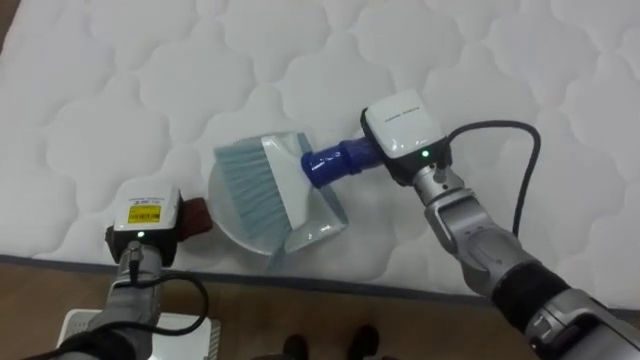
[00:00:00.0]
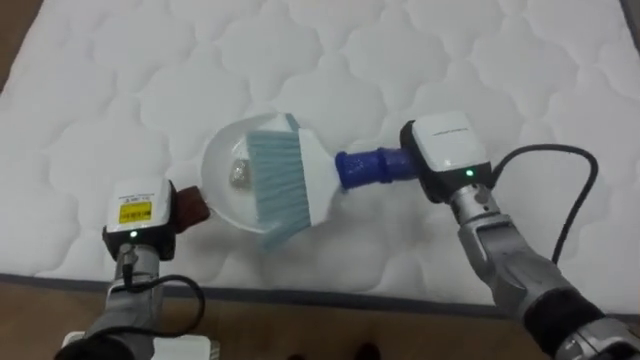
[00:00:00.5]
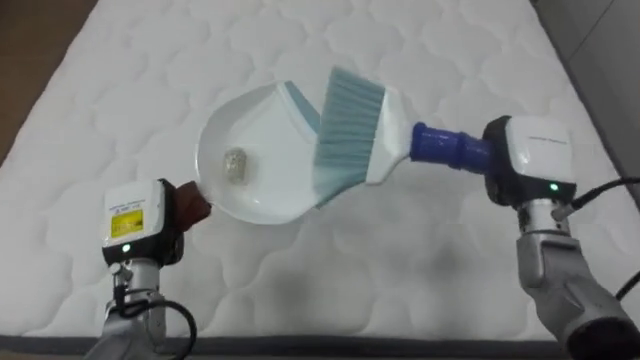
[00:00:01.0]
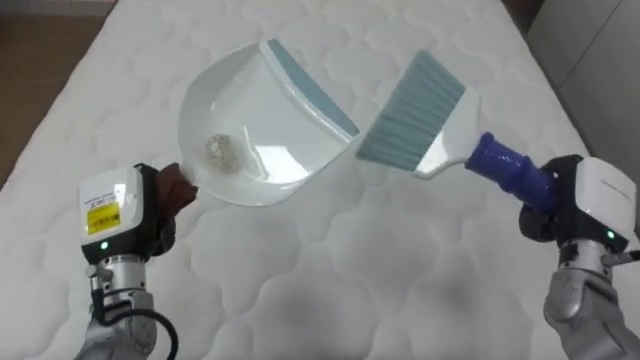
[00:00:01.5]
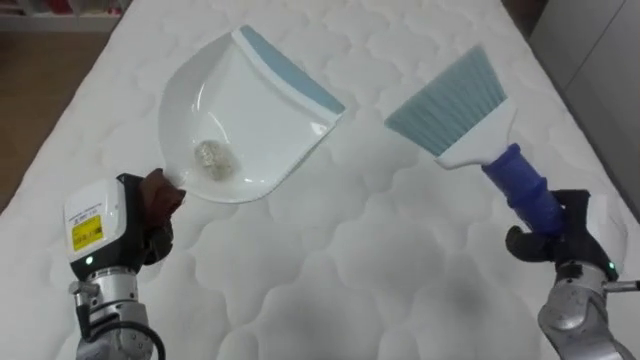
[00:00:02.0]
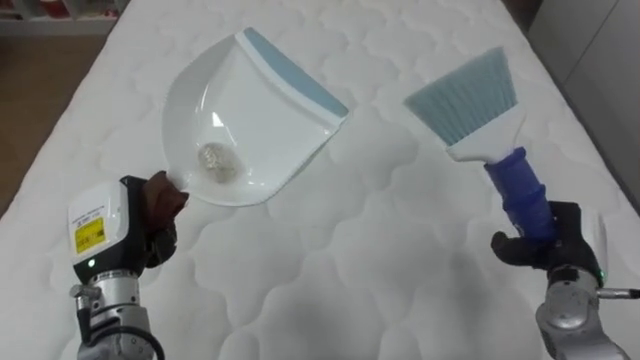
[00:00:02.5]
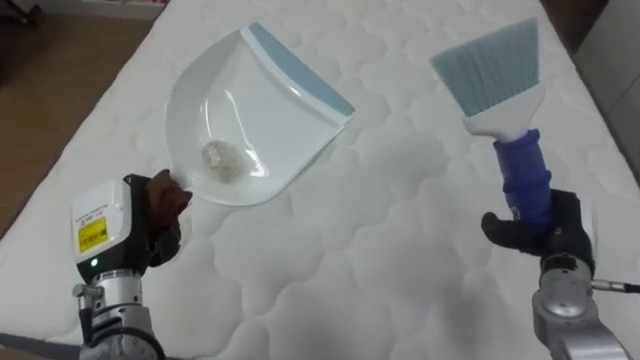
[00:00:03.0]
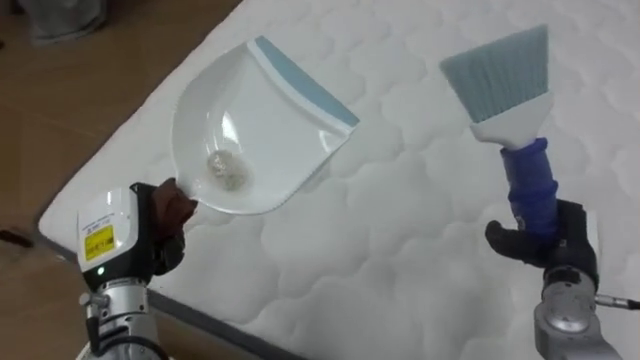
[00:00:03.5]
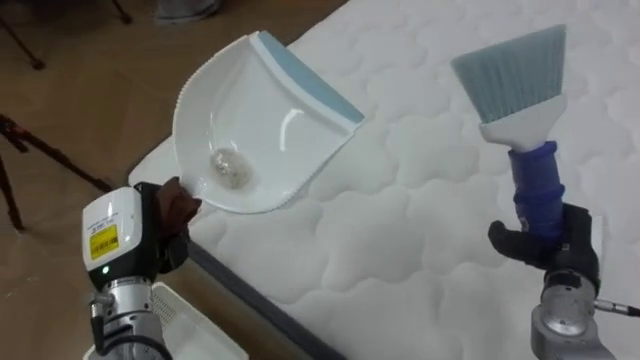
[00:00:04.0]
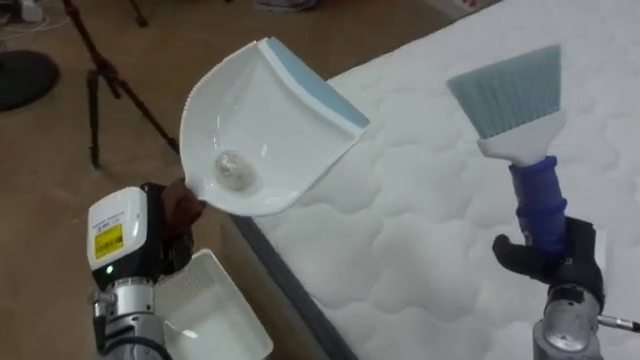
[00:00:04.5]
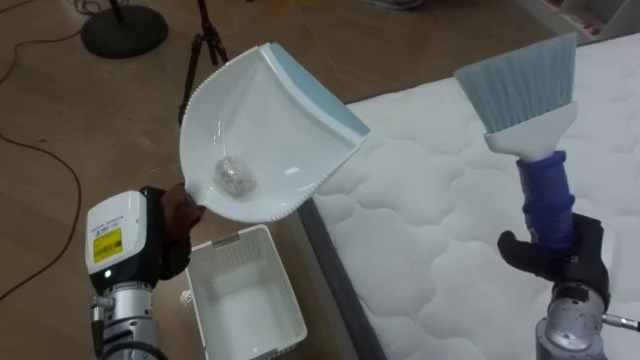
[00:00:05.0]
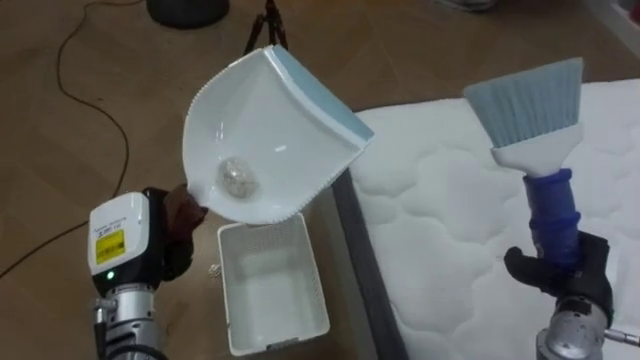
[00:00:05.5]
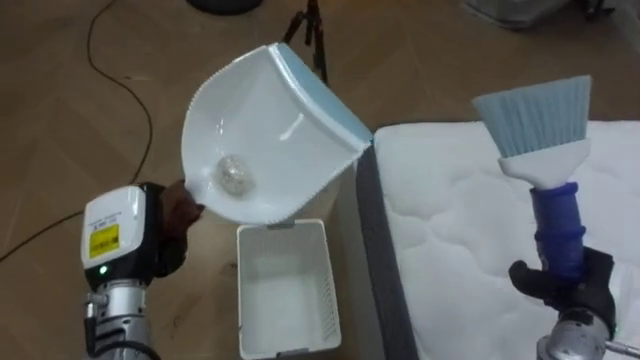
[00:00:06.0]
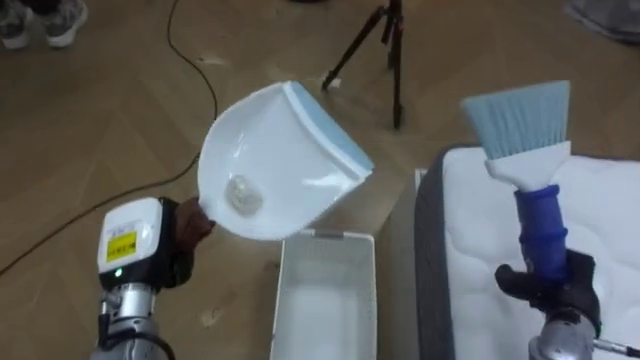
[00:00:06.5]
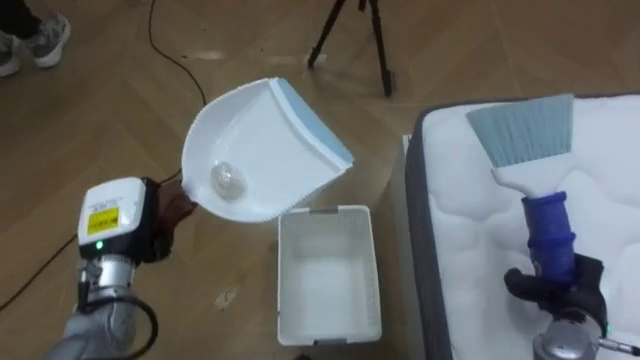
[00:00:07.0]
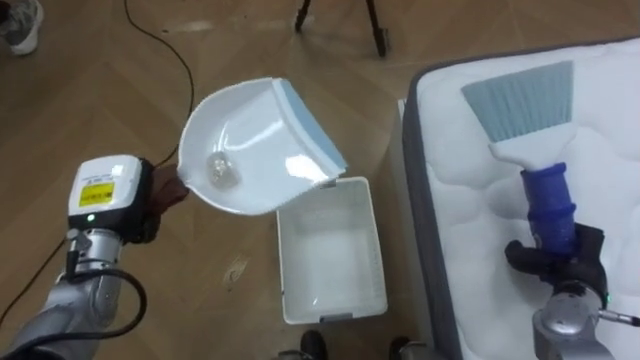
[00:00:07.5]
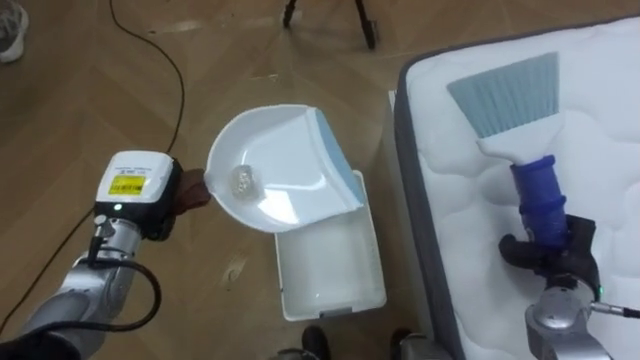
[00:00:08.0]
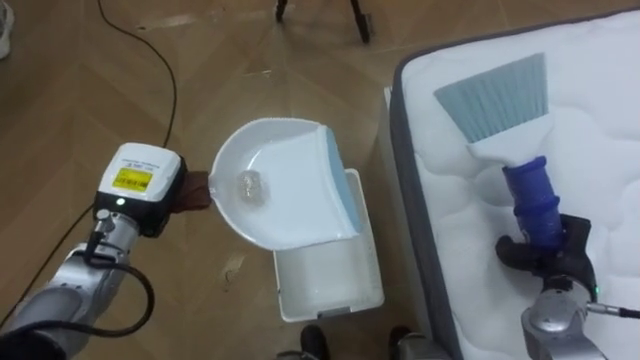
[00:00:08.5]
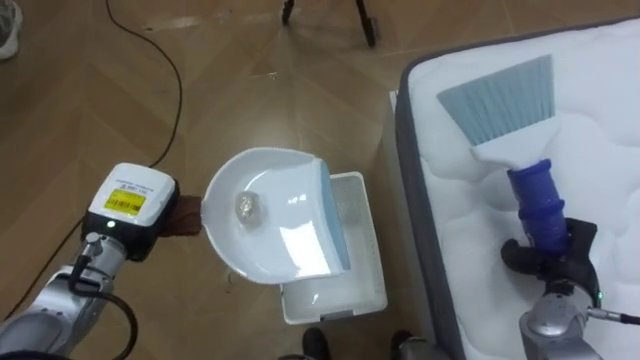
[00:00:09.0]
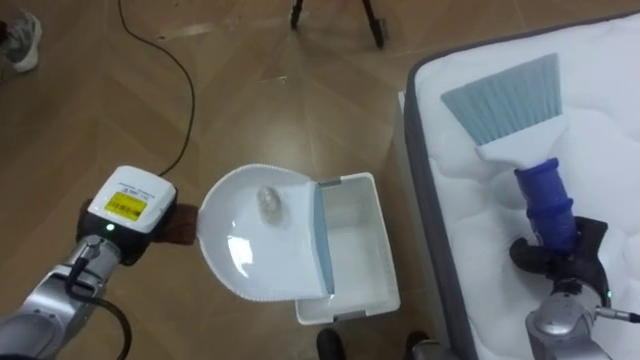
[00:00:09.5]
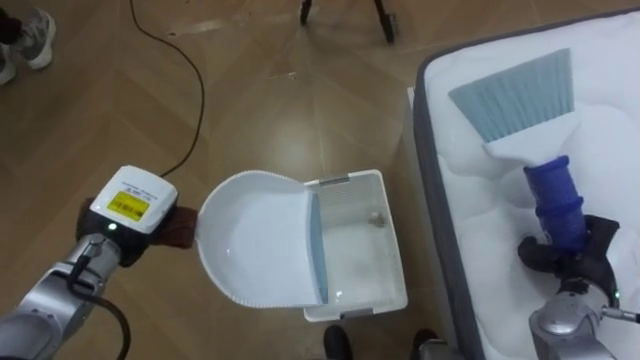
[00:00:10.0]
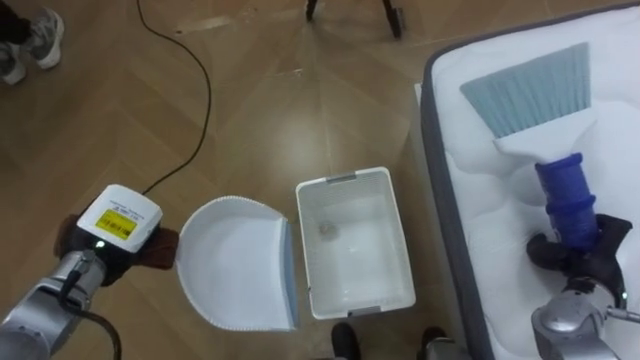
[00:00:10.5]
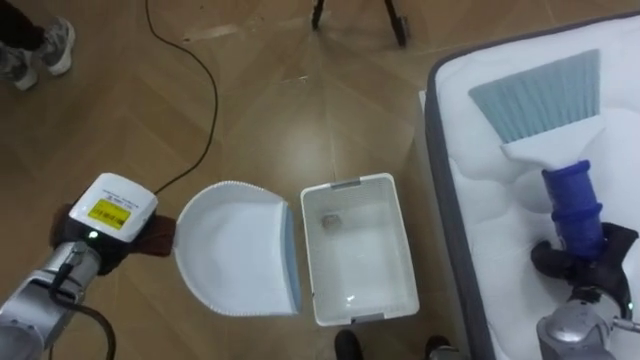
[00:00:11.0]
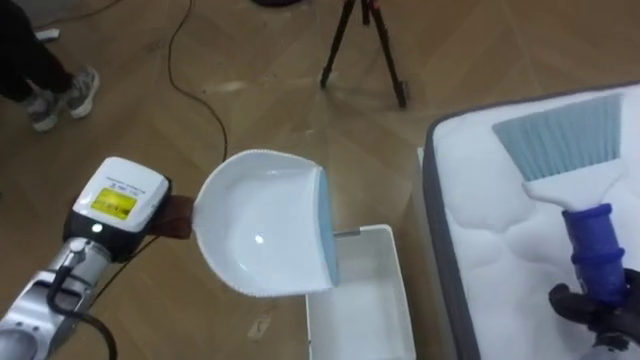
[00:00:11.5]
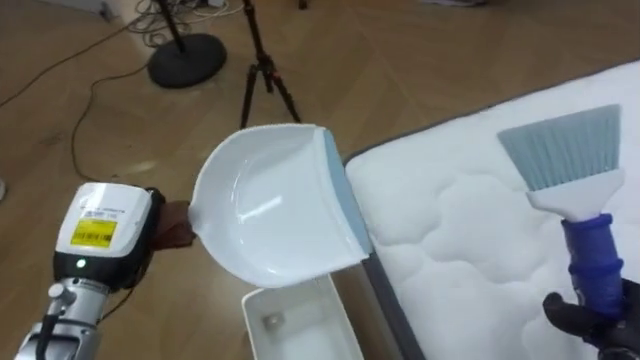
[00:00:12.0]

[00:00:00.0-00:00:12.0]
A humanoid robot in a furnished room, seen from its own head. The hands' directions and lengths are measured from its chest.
Task of the whole recording: Pick up the brush on your right and the dustpan on your left. Use the brush to sweep the crumpled paper on the bed into the dustpan, then turn left and empty it into the basket.
00:00:00.0 to 00:00:02.0: The left hand travels upward by some 5 cm; the right hand moves to the right and backward, roughly 25 cm.
00:00:02.0 to 00:00:04.0: The robot turns to its left by some 35 degrees.
00:00:04.0 to 00:00:06.0: The robot's body swings roughly 45 degrees to its left. The right hand changes place by about 5 cm.
00:00:06.0 to 00:00:08.0: The left hand goes about 5 cm forward.
00:00:10.0 to 00:00:12.0: The left hand moves backward, roughly 5 cm, while the right hand heads backward, covering roughly 10 cm.

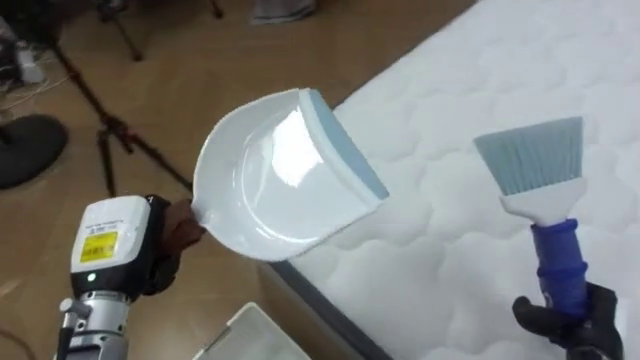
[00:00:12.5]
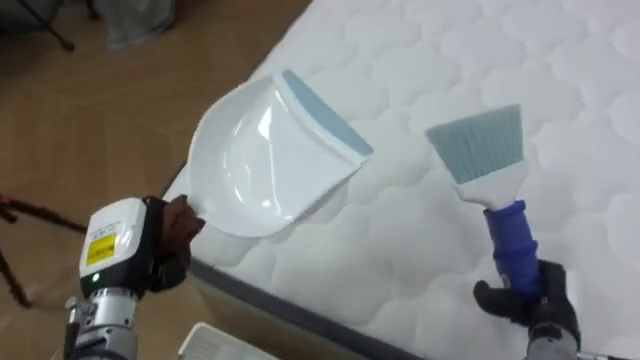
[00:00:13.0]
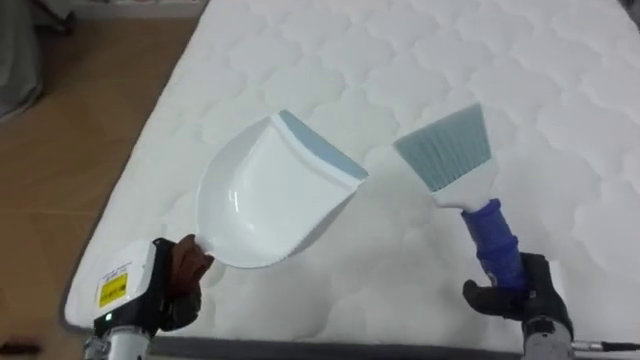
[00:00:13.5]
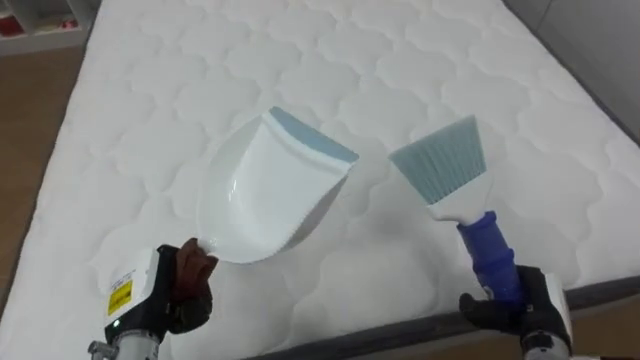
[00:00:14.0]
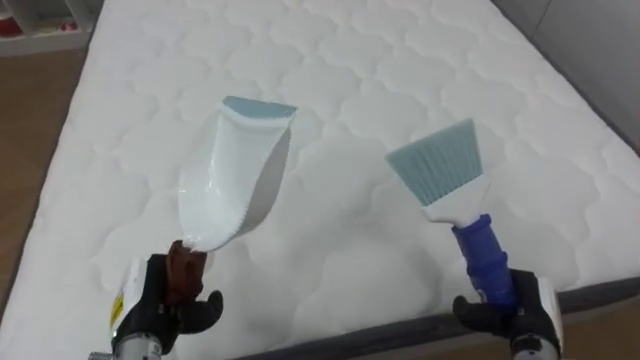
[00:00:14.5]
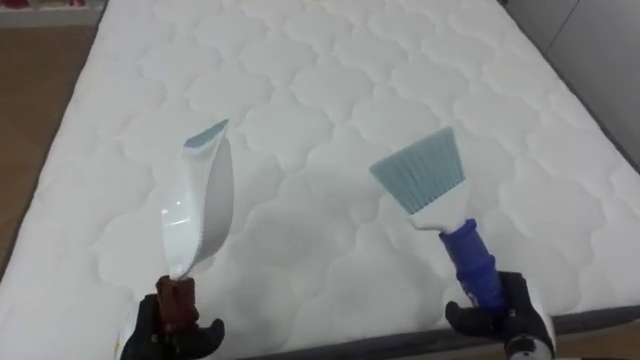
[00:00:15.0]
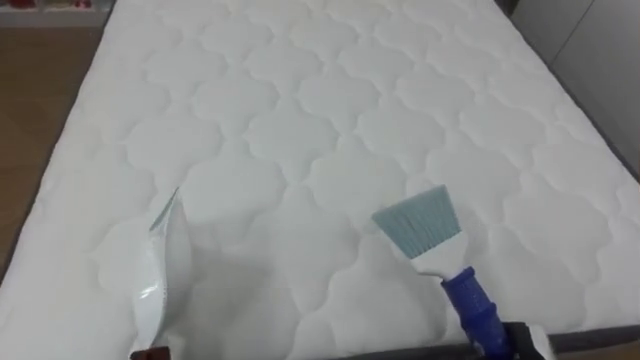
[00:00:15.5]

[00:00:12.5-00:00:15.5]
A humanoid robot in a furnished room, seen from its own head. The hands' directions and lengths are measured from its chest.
Task of the whole recording: Pick up the brush on your right and the dustpan on your left. Use the brush to sweep the crumpled paper on the bed into the dustpan, then turn left and empty it into the basket.
00:00:12.5 to 00:00:14.0: The robot rotates some 55 degrees to its right. The left hand goes approximately 5 cm downward, while the right hand goes approximately 5 cm to the left.

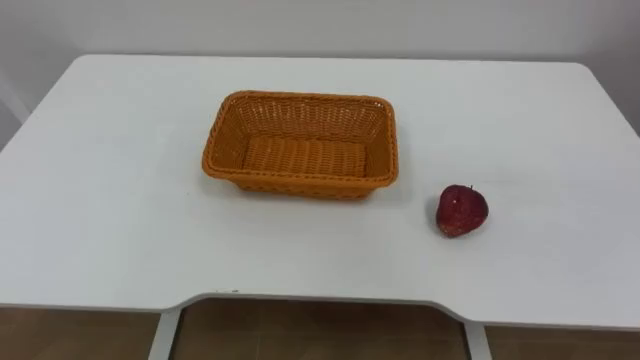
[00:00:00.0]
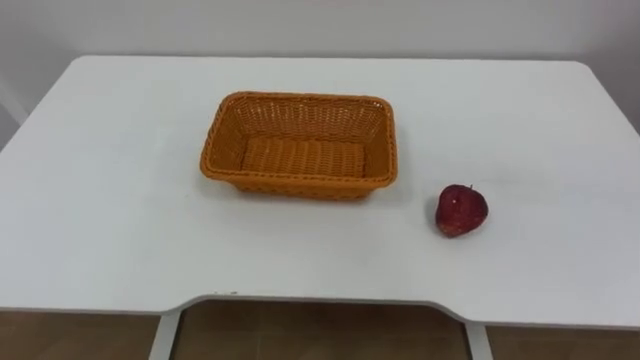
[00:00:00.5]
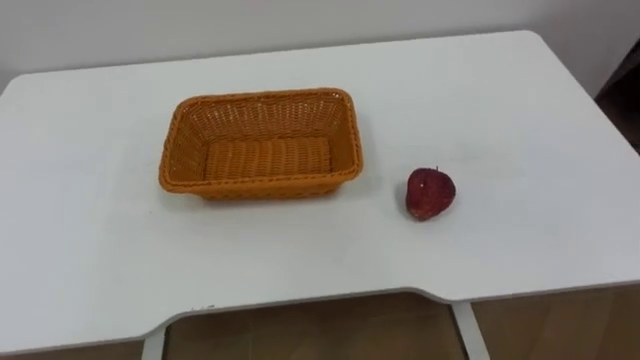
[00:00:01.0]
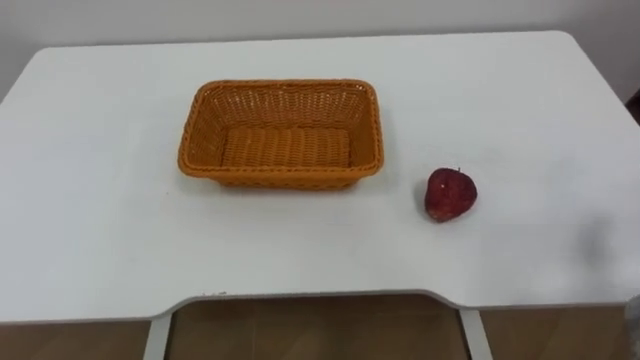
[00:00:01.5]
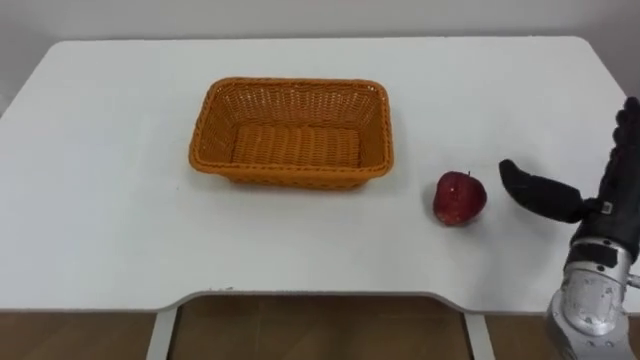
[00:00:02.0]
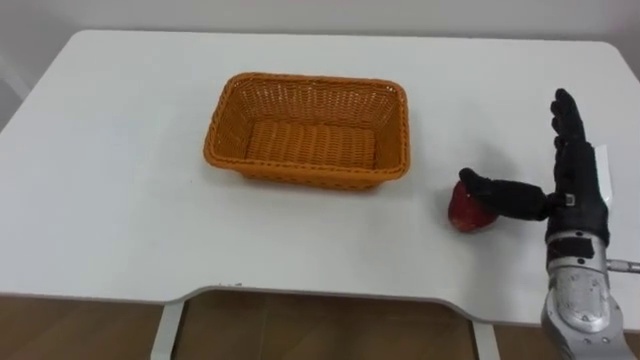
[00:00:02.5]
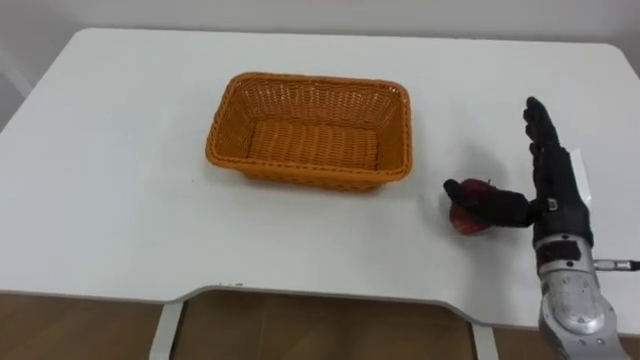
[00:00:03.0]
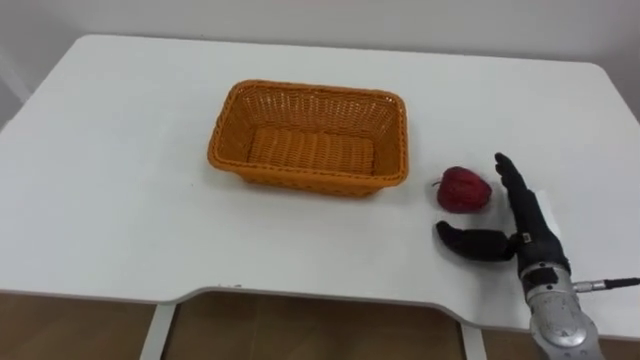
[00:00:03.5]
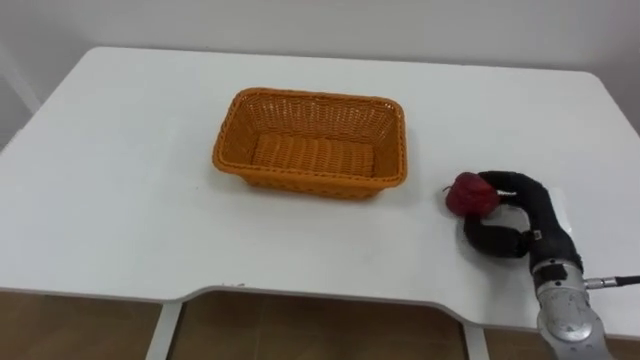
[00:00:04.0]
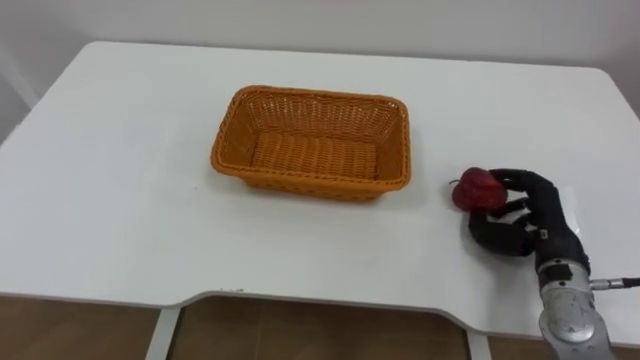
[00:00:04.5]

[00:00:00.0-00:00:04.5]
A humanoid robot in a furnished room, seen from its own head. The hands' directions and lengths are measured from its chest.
Task of the whole recording: Pick the apple and place it in the box.
00:00:02.0 to 00:00:04.5: The right hand travels downward by roughly 10 cm, and closes.
